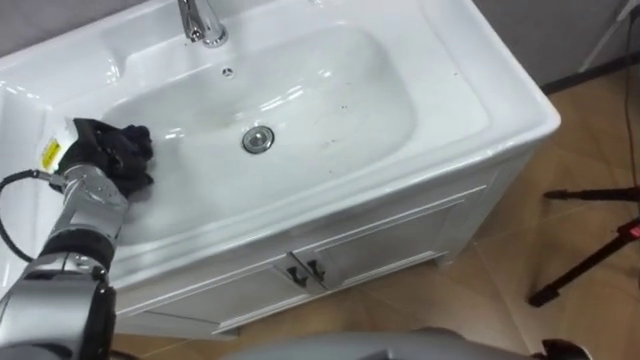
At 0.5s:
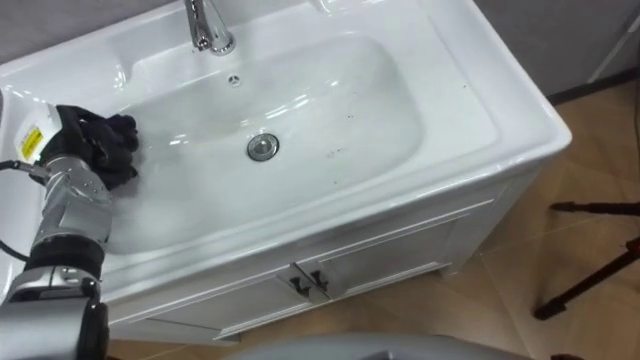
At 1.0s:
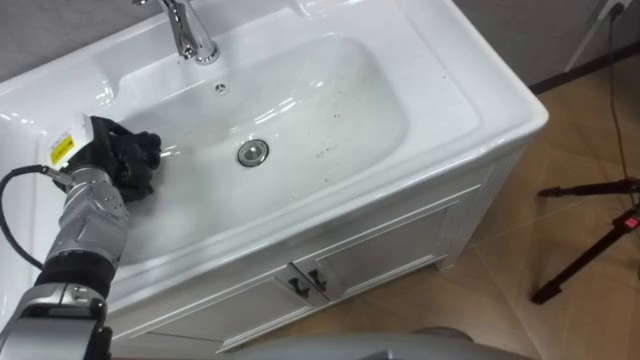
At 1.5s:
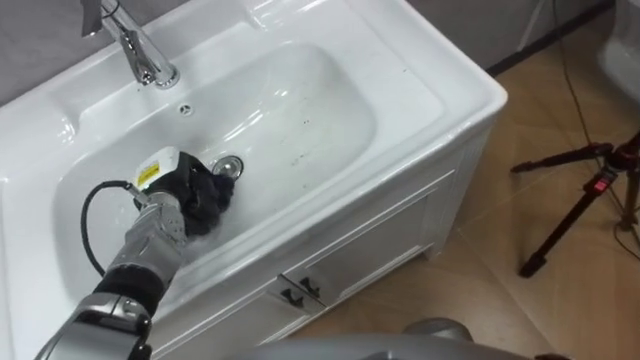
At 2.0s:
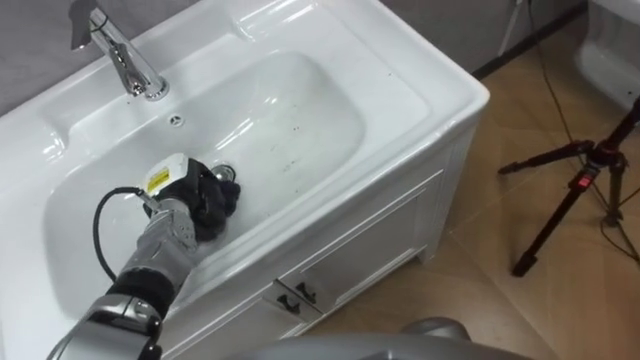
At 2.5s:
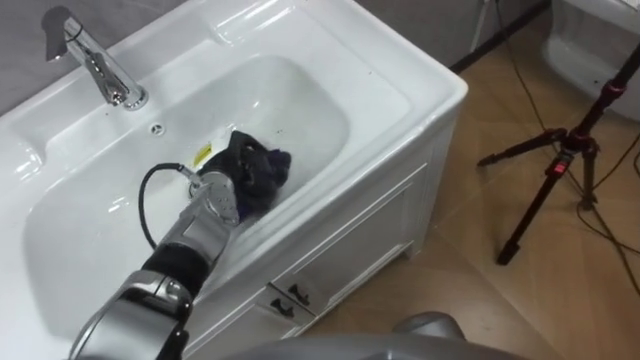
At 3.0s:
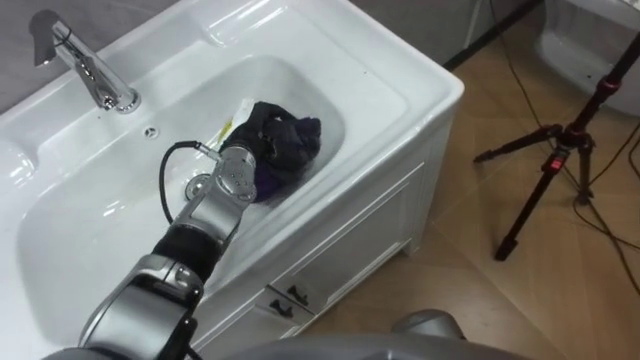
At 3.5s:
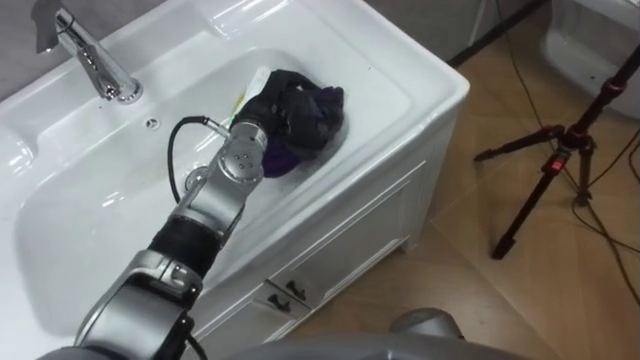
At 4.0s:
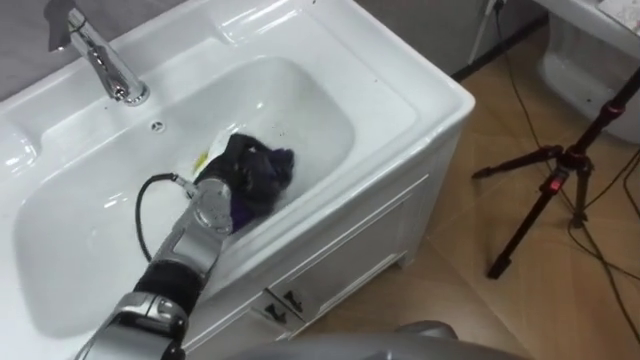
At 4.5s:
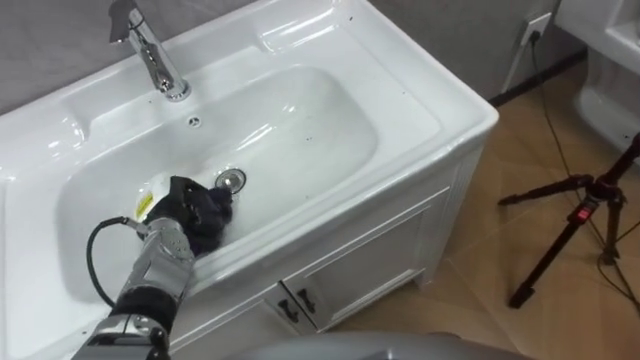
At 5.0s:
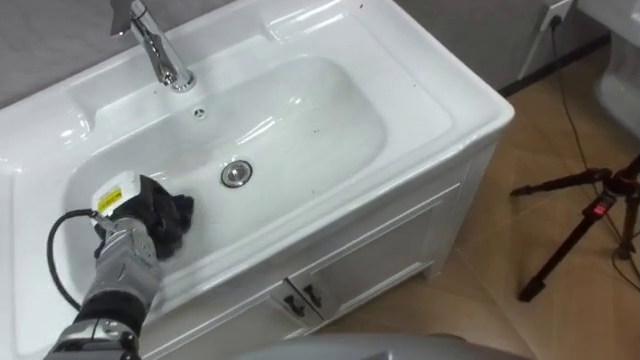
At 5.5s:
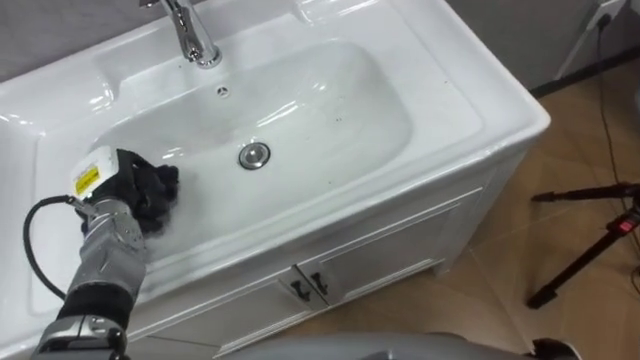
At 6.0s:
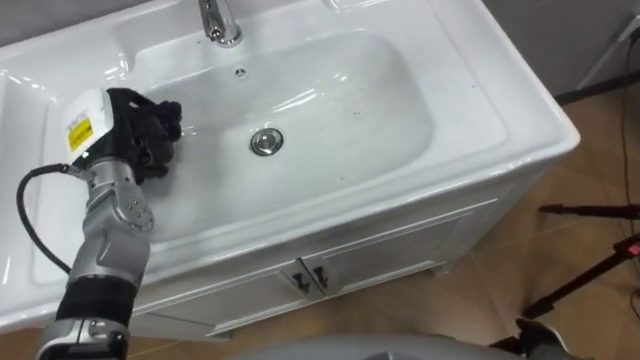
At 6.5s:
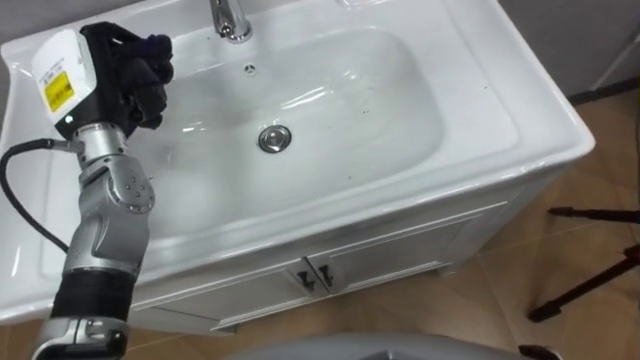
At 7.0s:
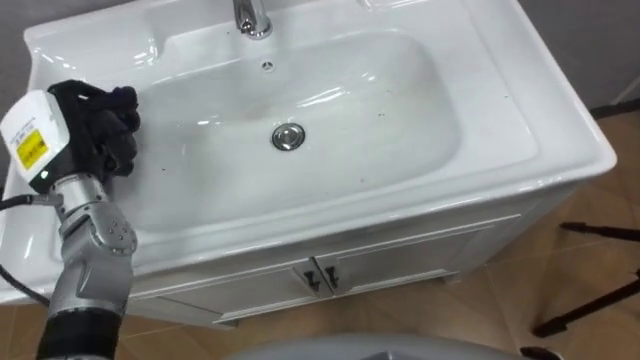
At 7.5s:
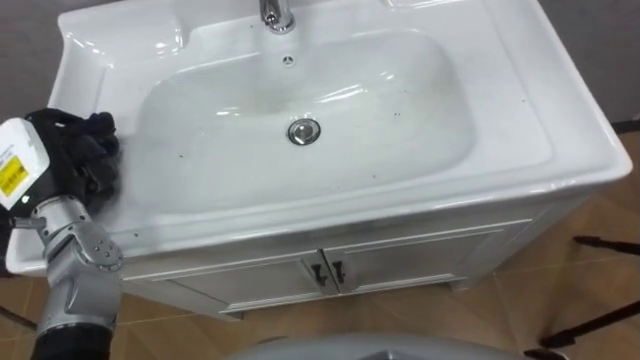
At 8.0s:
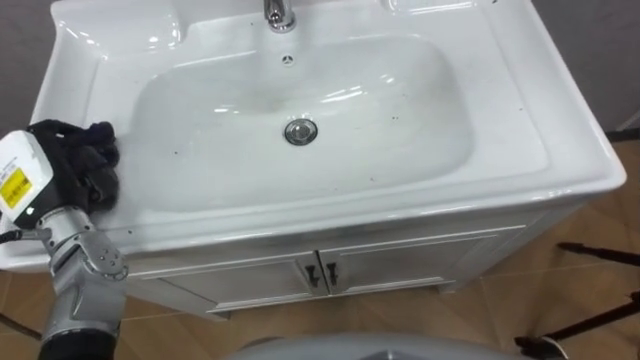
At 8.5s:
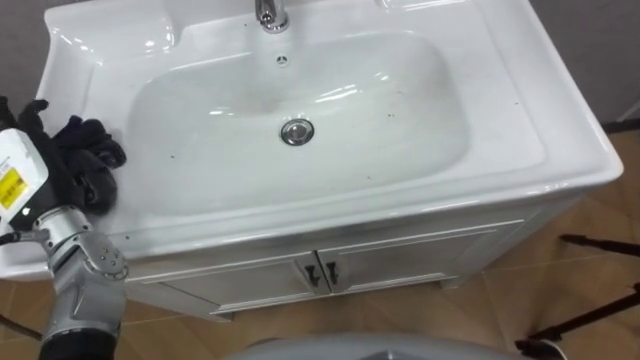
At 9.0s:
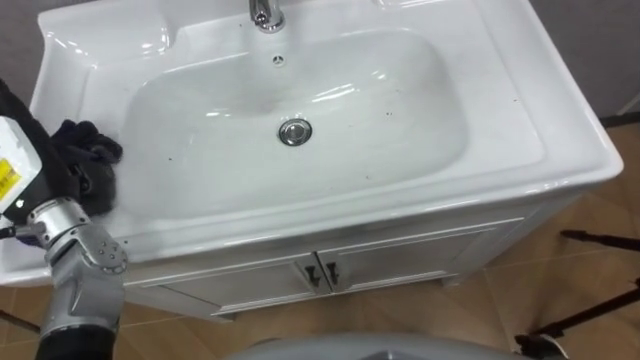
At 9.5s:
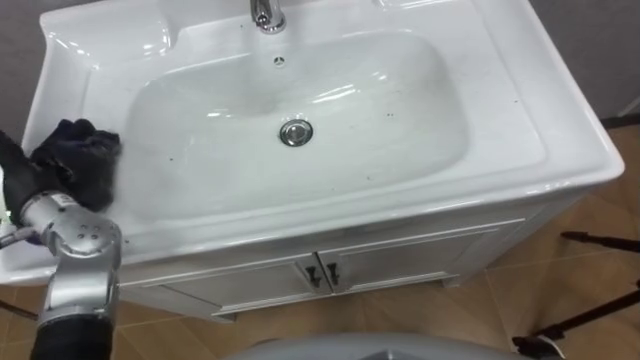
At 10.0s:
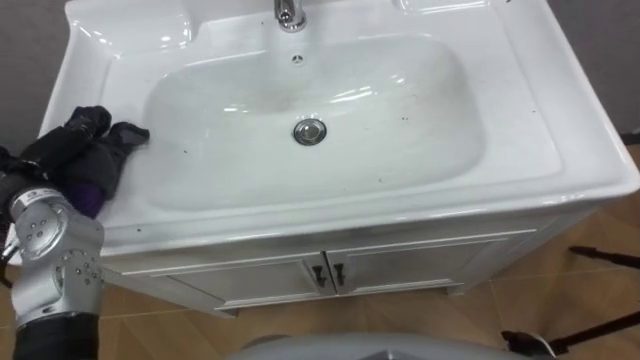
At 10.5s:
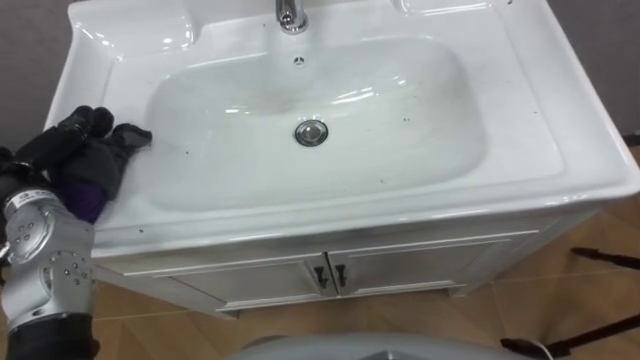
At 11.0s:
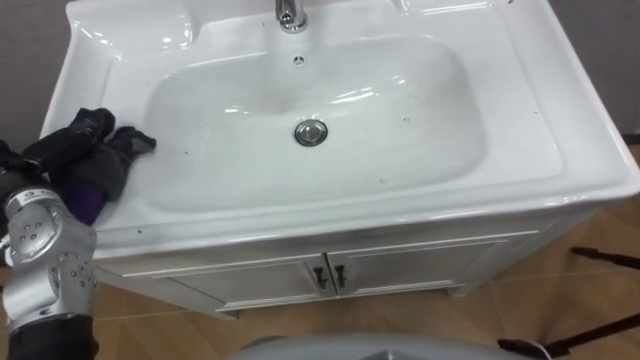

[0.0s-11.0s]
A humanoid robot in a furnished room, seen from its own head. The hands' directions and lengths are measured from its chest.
Task of the whole recording: Use the cloth on the right to wipe away the black stain in the sink.
0.0s to 2.0s: The left hand shifts some 15 cm to the right and downward.
2.0s to 3.5s: The left hand moves to the right, upward and forward, approximately 20 cm.
3.5s to 5.5s: The left hand heads to the left and backward, covering roughly 25 cm.
5.5s to 7.5s: The left hand is displaced upward by roughly 10 cm.
7.5s to 9.0s: The left hand opens up.

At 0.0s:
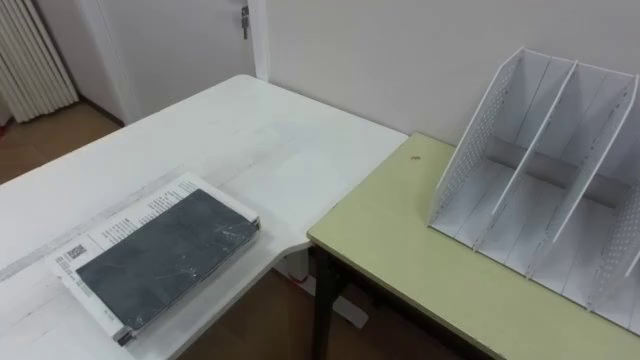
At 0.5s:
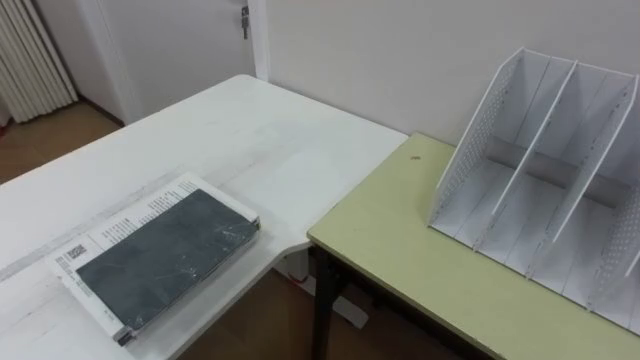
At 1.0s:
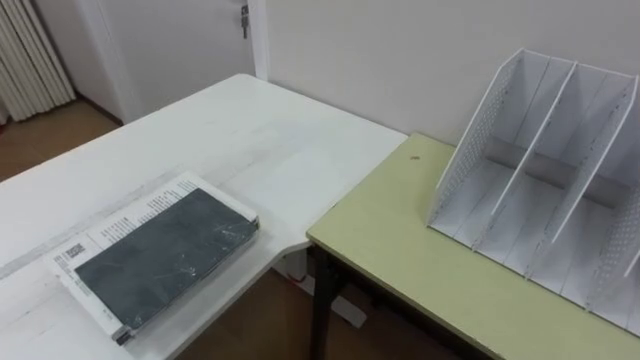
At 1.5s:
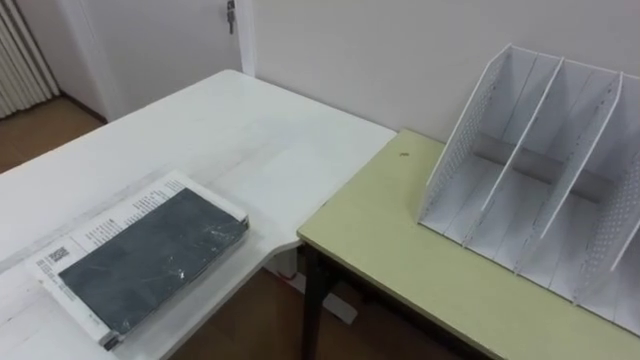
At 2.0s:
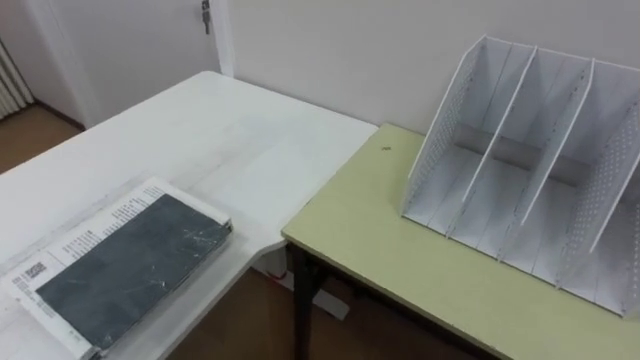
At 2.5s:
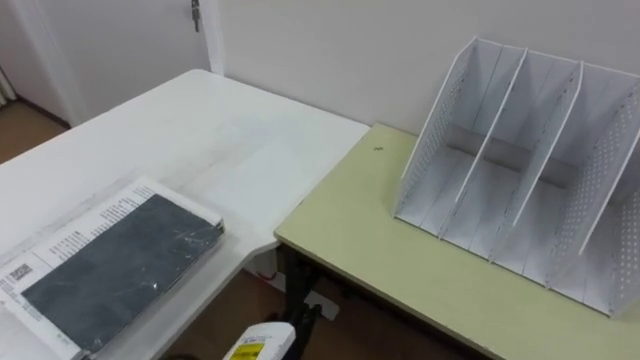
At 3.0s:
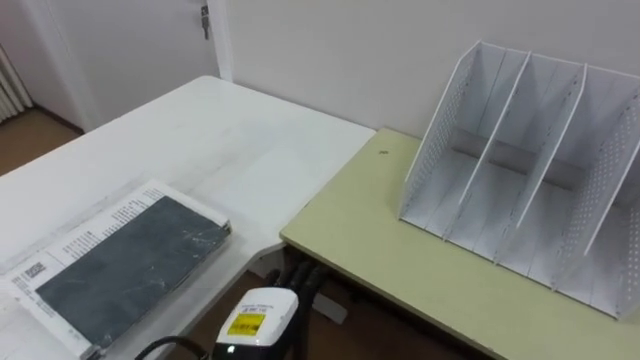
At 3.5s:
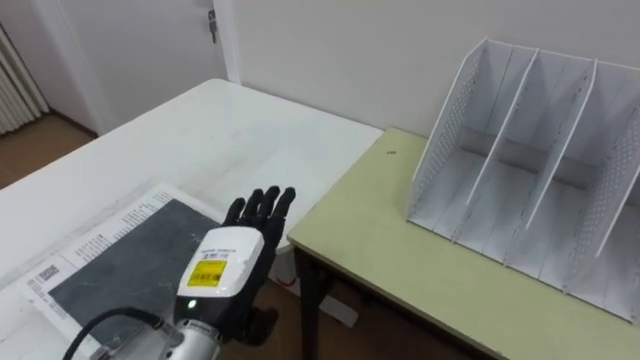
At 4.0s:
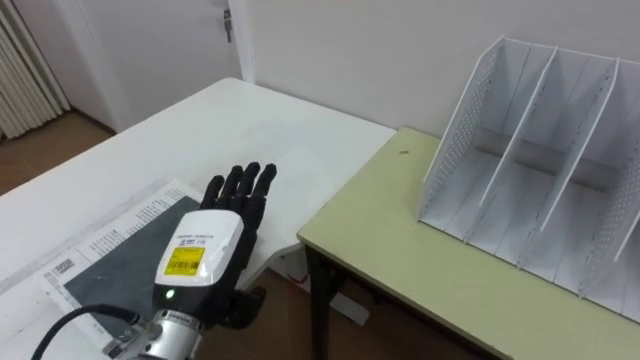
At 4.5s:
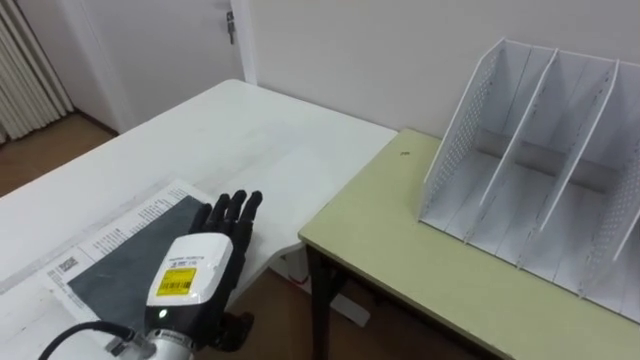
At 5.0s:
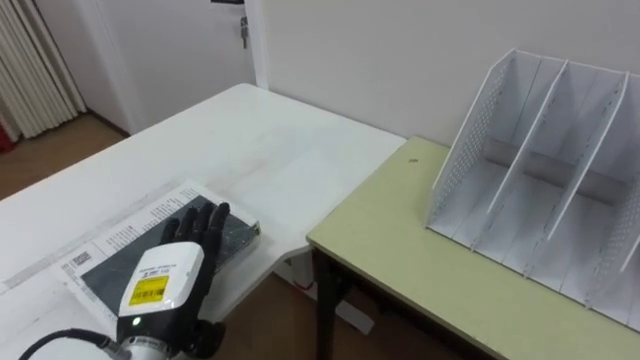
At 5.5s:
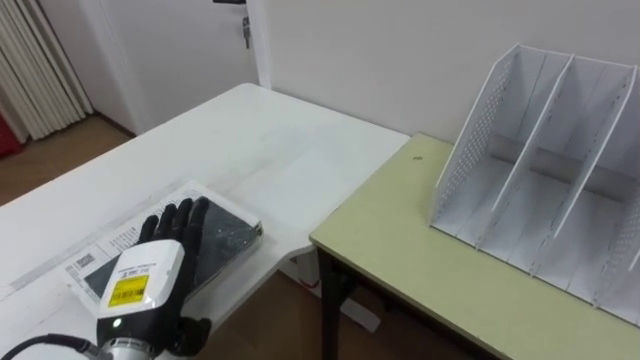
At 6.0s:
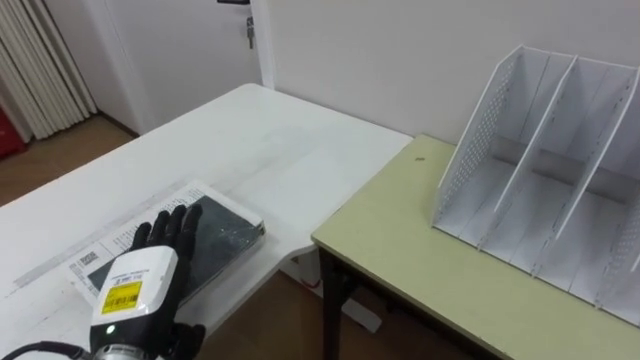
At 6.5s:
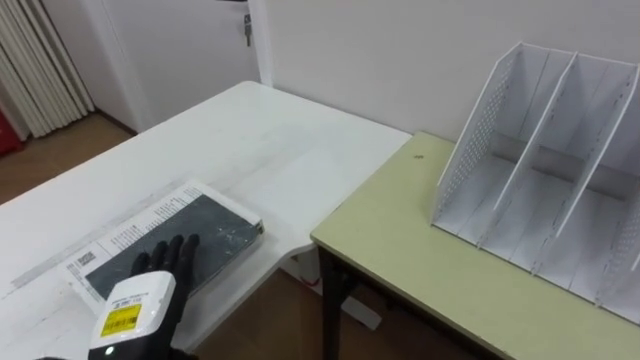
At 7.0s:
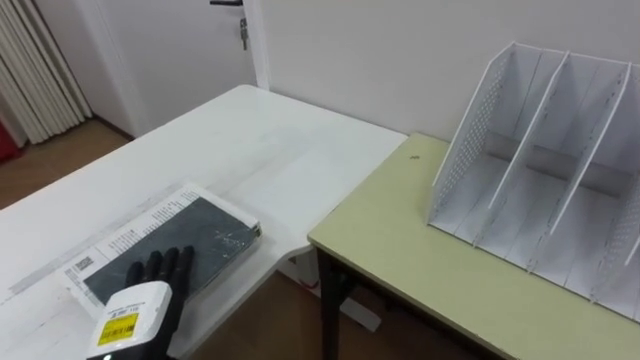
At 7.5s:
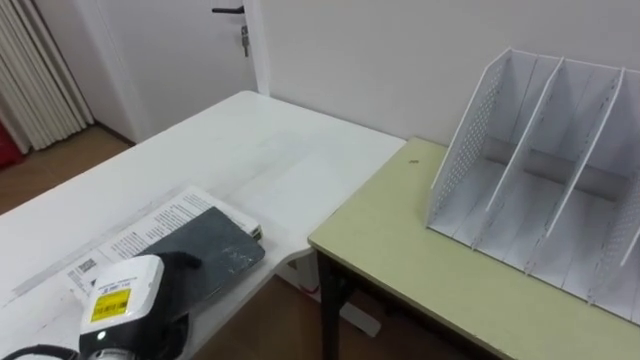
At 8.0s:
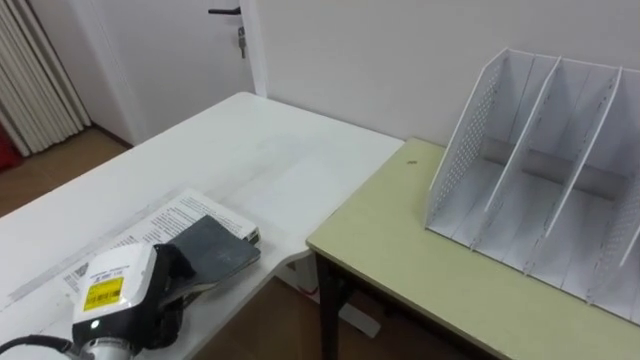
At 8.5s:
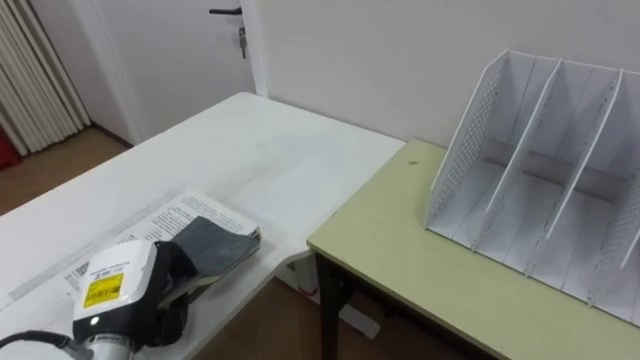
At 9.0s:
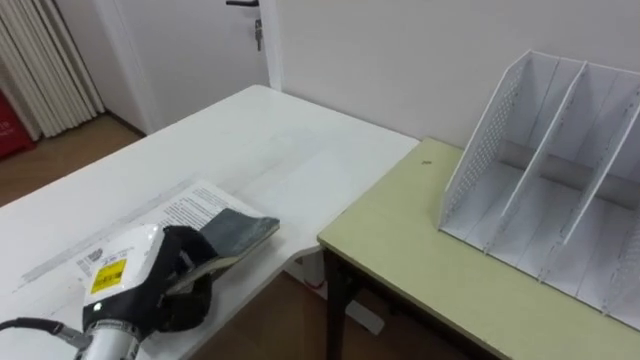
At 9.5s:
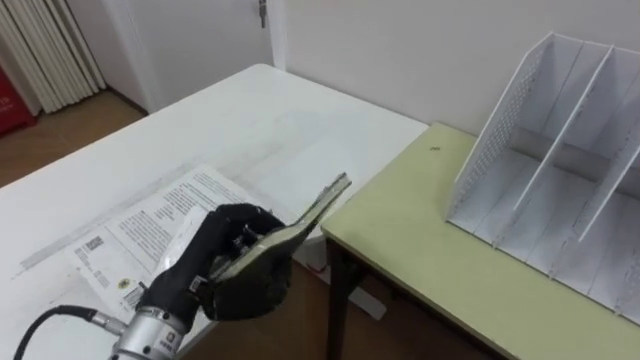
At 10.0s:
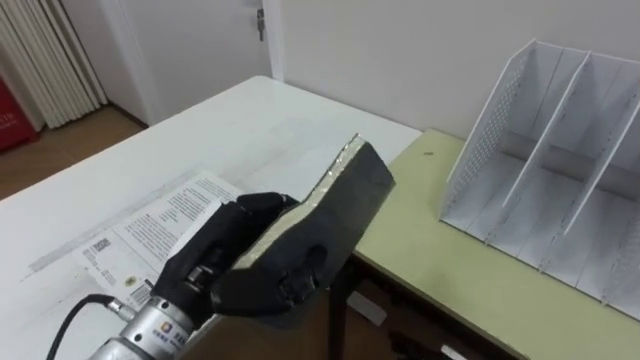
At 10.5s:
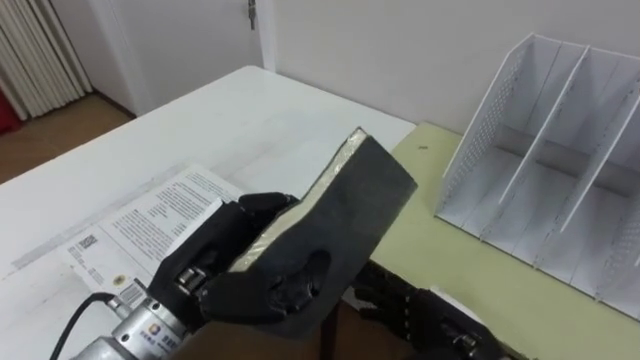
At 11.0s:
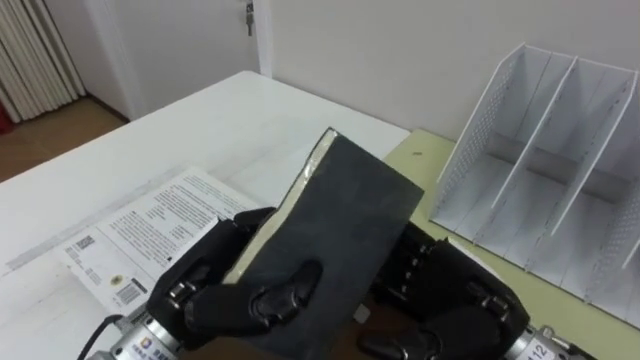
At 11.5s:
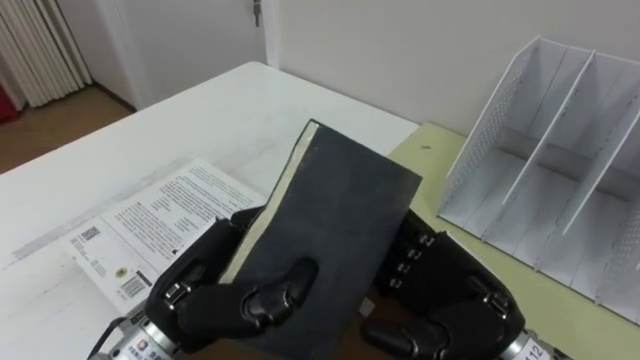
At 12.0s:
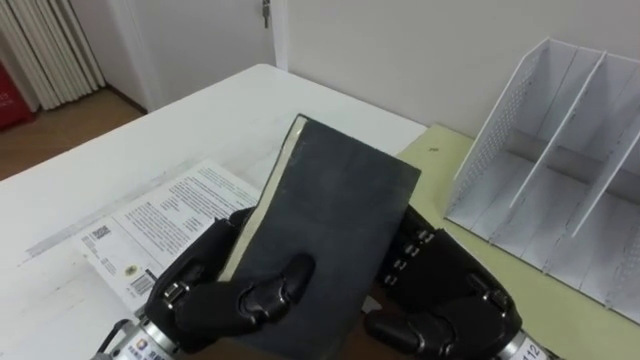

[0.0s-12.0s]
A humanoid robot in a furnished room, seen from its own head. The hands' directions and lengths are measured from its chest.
Task of the whole recording: Put the books on the table onto the bookshelf.
4.0s to 6.0s: The left hand goes about 5 cm to the left.
6.0s to 8.0s: The left hand closes.
8.0s to 10.0s: The left hand is displaced to the right and upward by approximately 15 cm.
